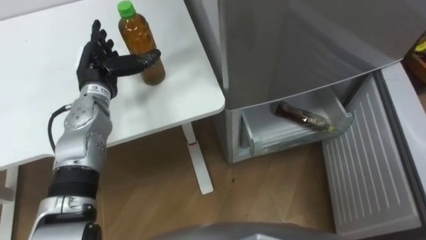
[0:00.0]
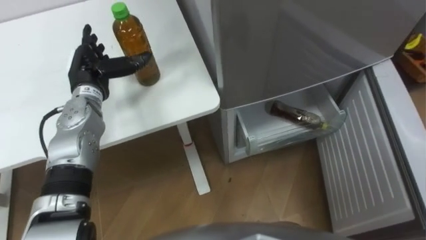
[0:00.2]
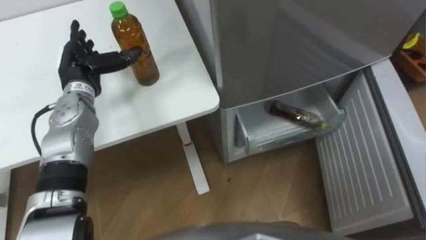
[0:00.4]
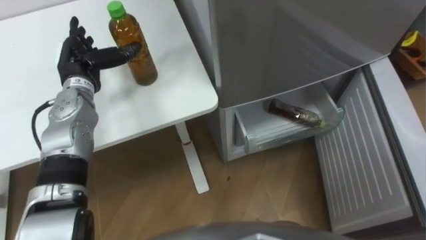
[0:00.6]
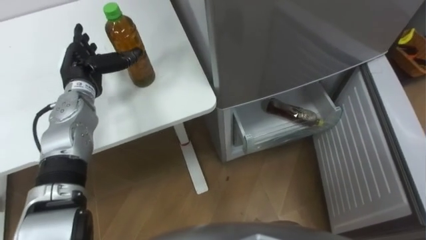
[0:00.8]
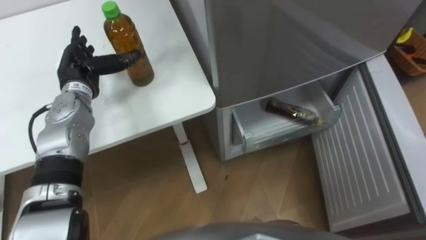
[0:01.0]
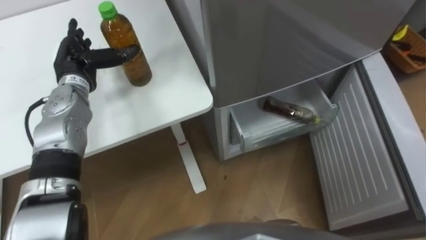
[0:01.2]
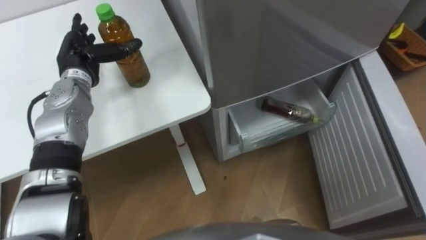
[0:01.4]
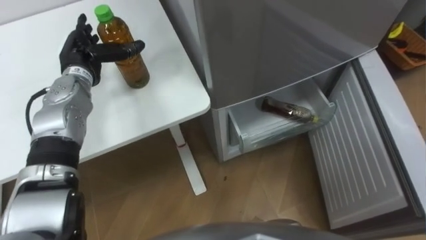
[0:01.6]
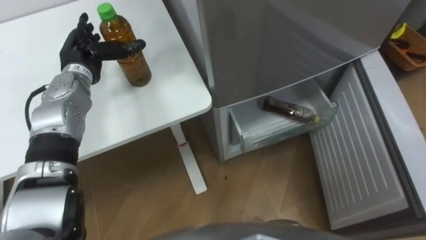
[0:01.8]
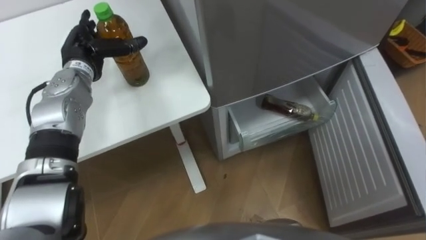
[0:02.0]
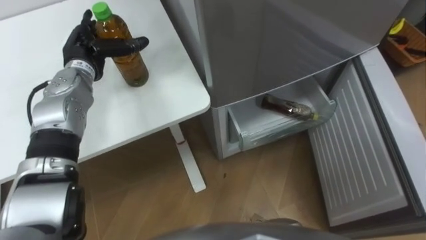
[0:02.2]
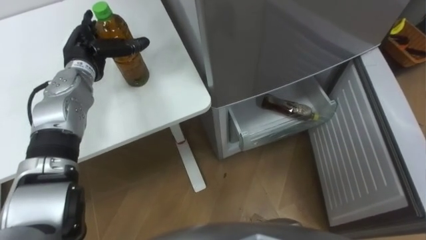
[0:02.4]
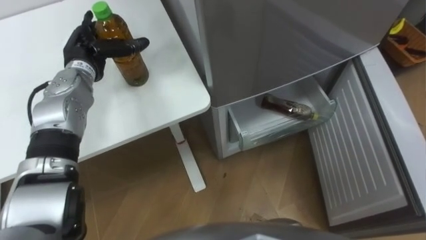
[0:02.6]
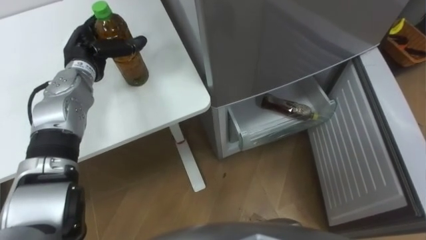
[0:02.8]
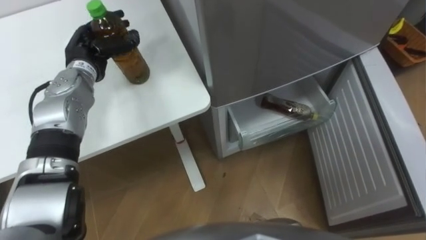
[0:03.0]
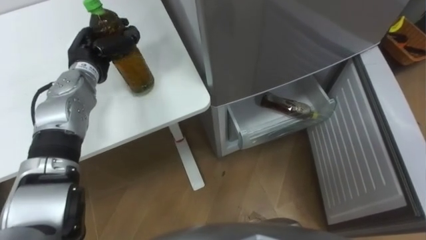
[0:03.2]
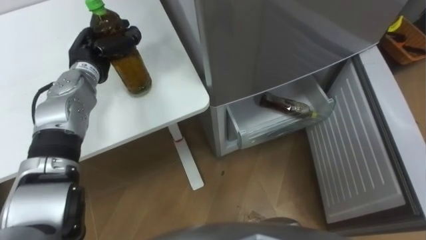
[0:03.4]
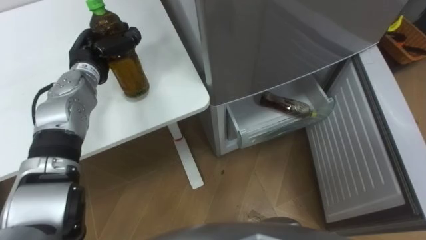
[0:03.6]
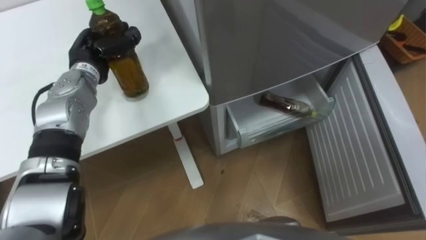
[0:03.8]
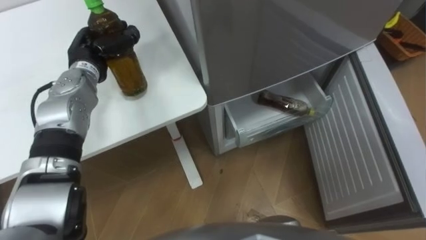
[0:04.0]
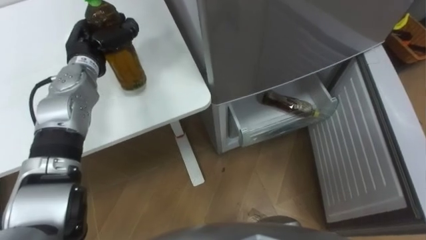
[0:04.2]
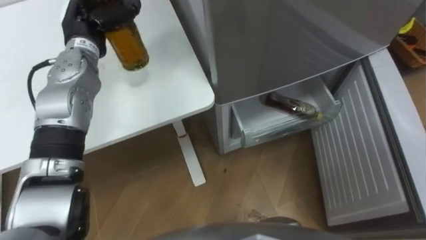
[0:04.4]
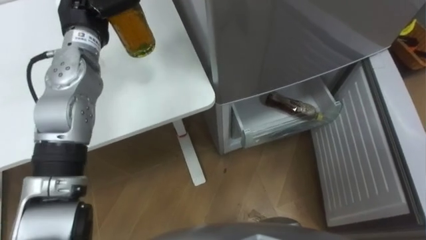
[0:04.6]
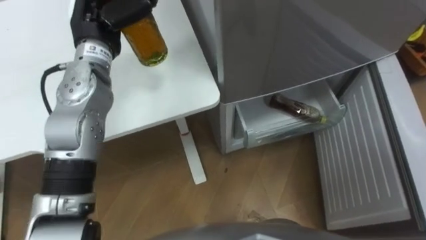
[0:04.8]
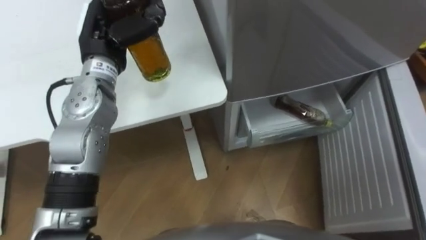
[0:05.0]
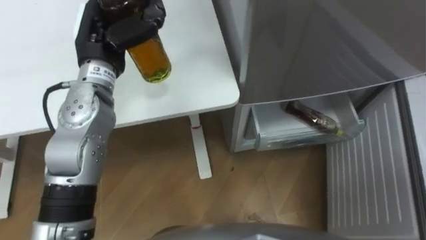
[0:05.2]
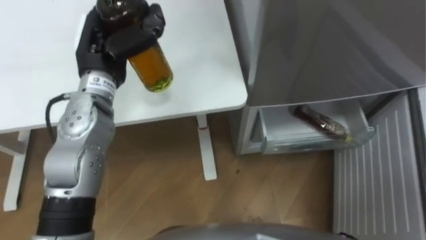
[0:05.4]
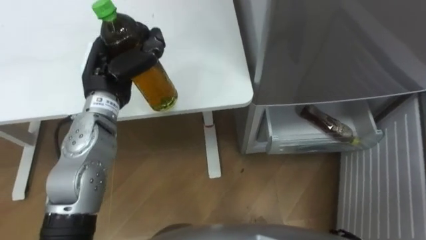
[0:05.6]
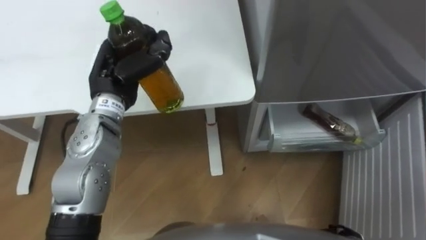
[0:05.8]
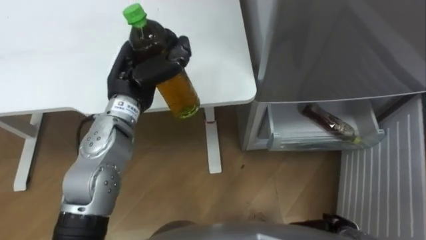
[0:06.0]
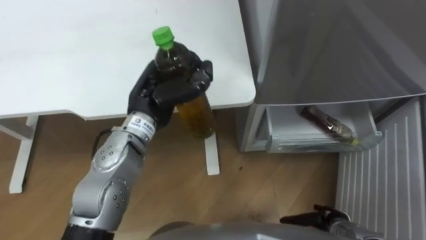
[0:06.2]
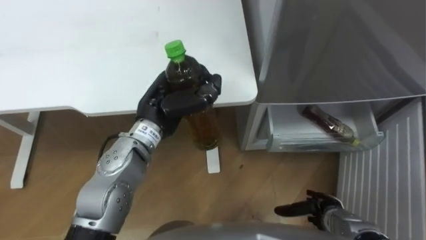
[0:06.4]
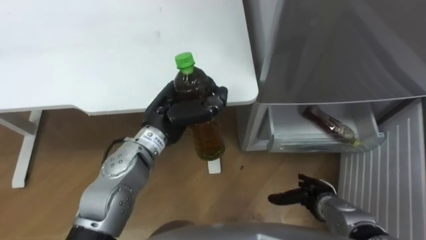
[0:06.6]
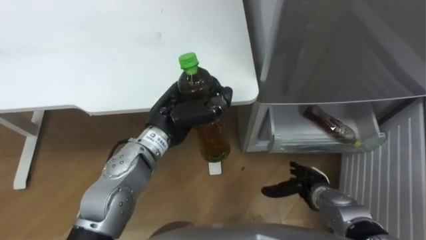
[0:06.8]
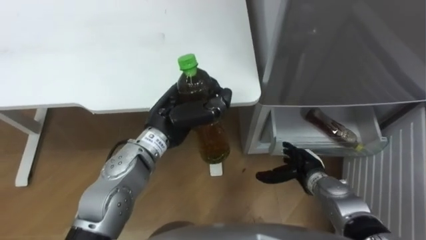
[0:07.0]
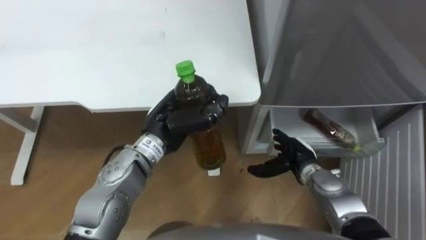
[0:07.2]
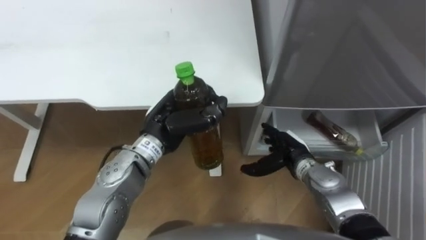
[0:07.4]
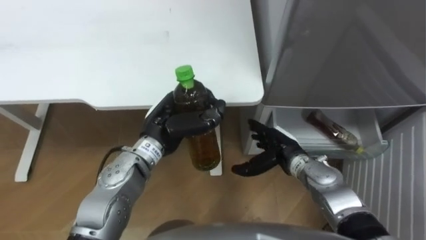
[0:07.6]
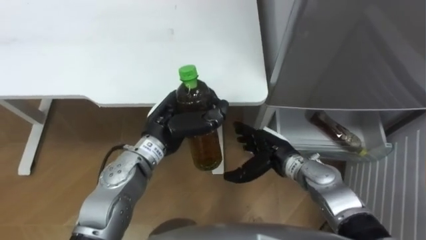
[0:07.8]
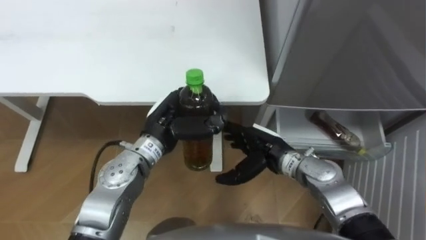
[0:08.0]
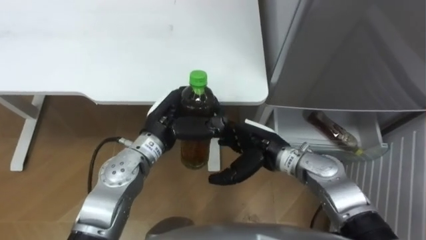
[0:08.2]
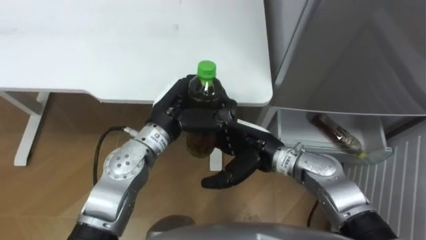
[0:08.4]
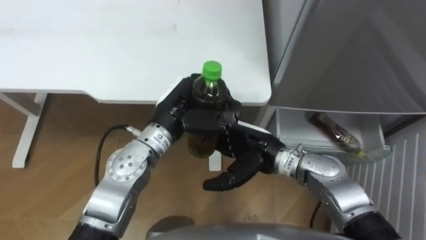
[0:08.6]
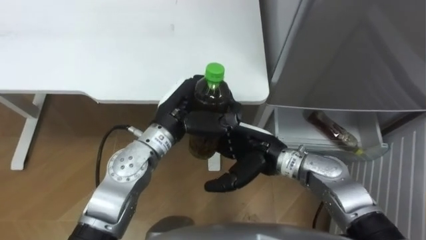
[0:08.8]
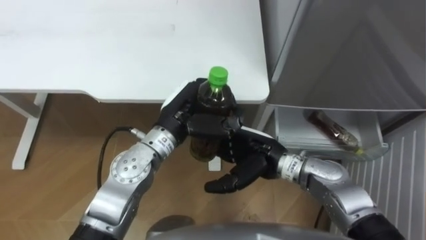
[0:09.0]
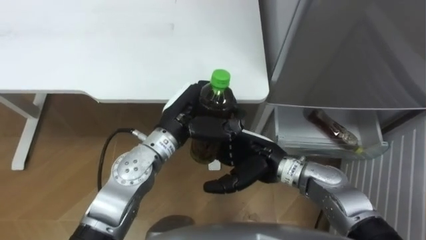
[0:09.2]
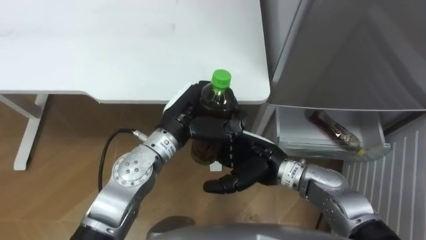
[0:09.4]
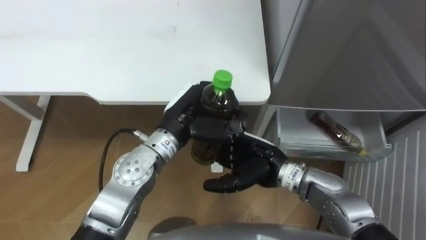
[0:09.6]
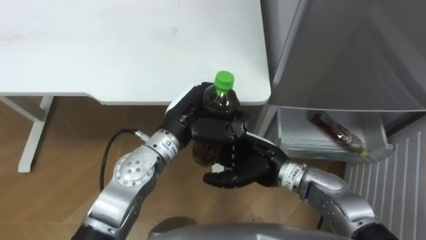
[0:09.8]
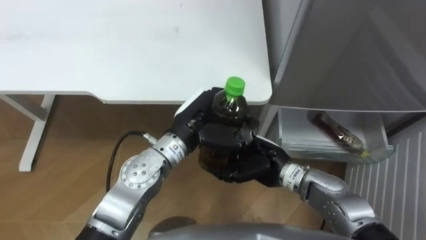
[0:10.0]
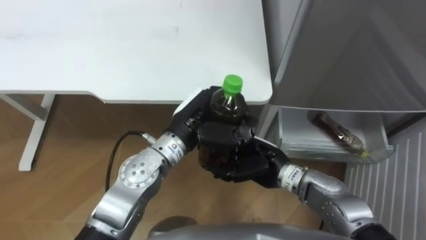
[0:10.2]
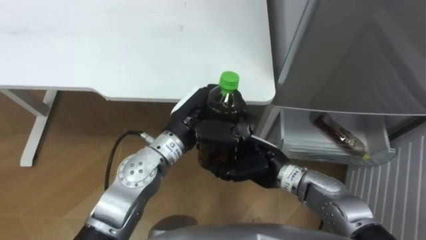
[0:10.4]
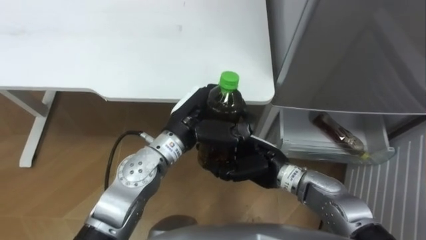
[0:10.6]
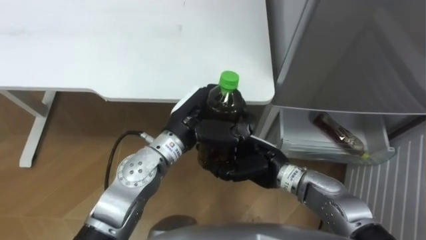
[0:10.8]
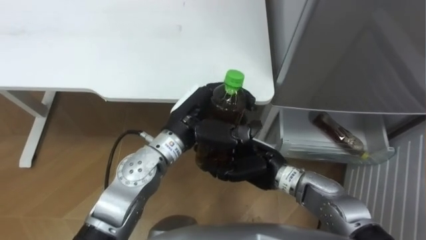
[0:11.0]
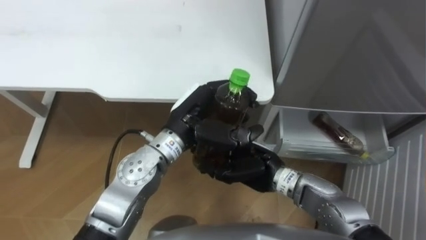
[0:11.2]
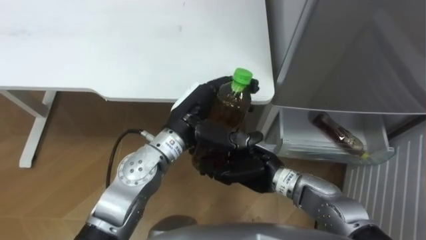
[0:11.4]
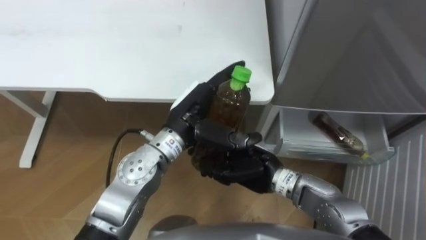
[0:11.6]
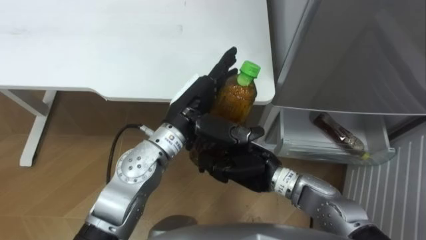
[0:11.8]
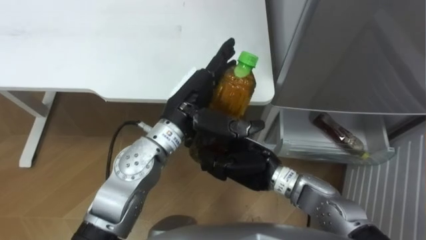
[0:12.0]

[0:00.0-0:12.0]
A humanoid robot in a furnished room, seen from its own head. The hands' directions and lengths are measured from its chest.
Task of the whole recording: Place the drink on the table on the bottom shelf of the refrigerator, then close the drawer and the refrigerator door.
0:01.6 to 0:03.0: The left hand closes its fingers.
0:03.0 to 0:04.4: The left hand changes place by some 5 cm, and closes its fingers.
0:04.4 to 0:06.0: The left hand is displaced backward and to the right by approximately 10 cm.
0:06.0 to 0:07.6: The right hand moves forward, to the left and upward, some 25 cm; the left hand goes roughly 10 cm downward, to the right and backward.
0:07.6 to 0:09.0: The right hand is displaced to the left and upward by approximately 10 cm.
0:09.0 to 0:10.4: The right hand closes.
0:10.4 to 0:12.0: The left hand opens up.

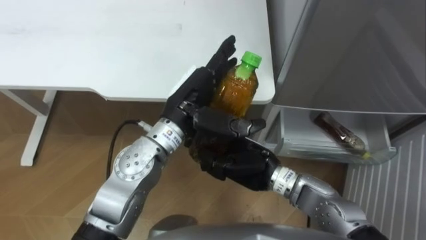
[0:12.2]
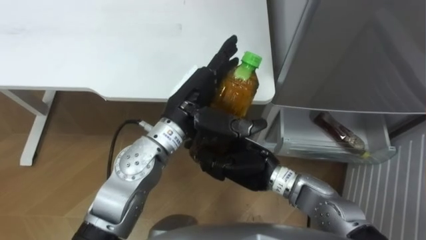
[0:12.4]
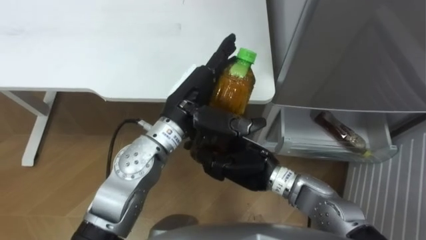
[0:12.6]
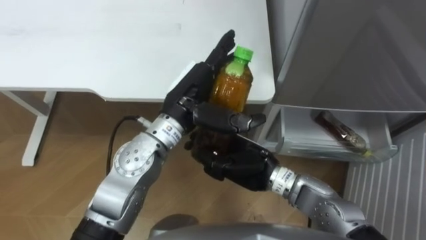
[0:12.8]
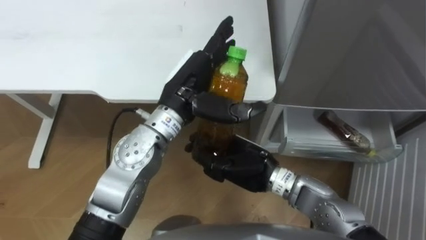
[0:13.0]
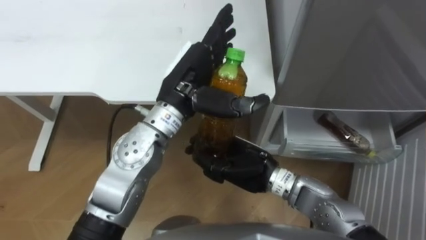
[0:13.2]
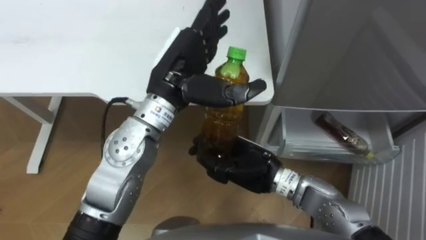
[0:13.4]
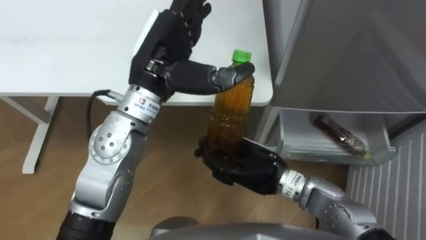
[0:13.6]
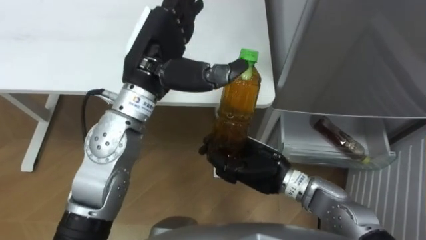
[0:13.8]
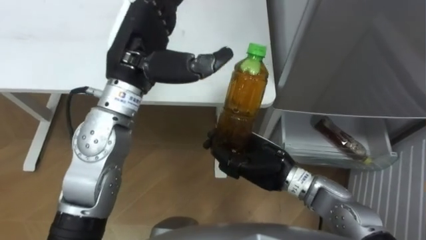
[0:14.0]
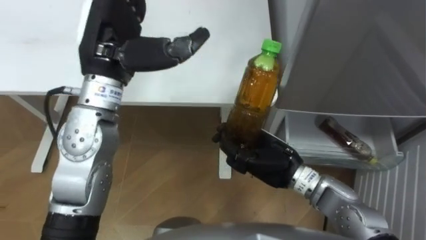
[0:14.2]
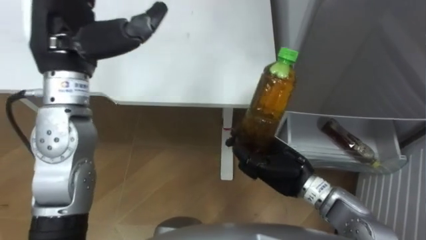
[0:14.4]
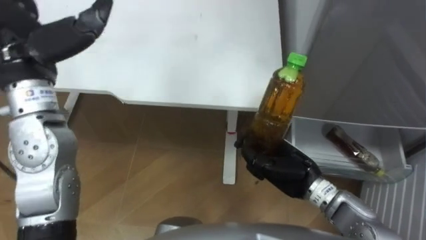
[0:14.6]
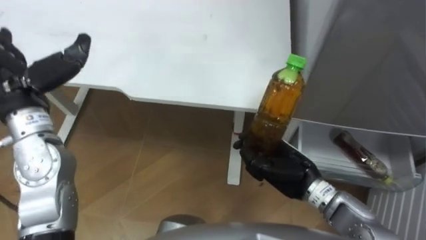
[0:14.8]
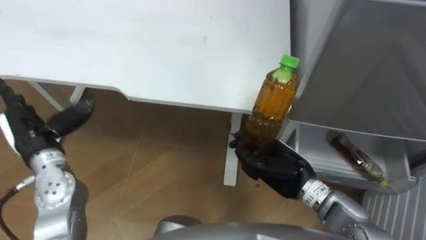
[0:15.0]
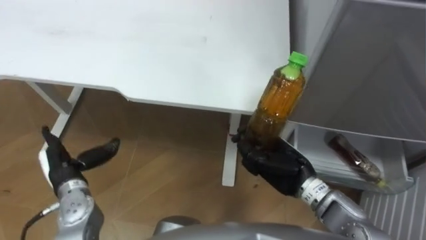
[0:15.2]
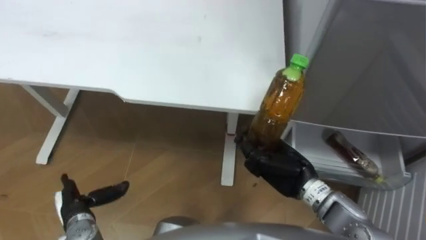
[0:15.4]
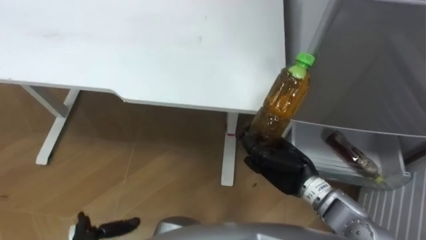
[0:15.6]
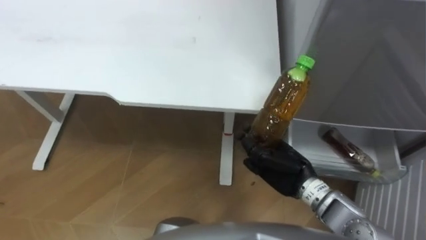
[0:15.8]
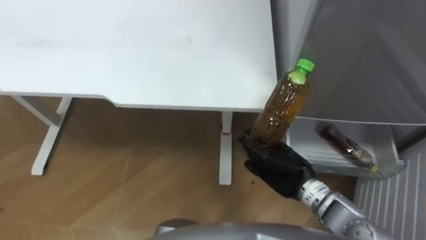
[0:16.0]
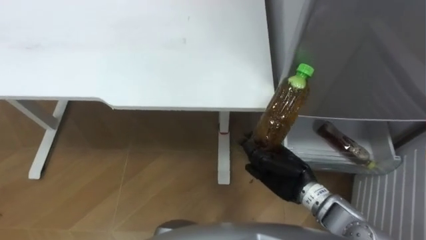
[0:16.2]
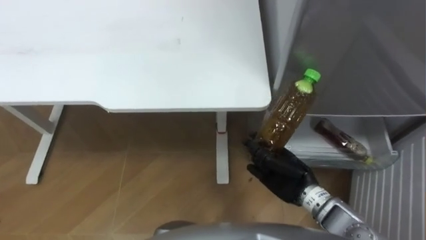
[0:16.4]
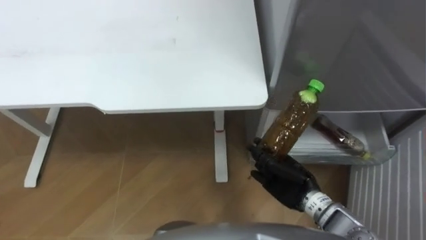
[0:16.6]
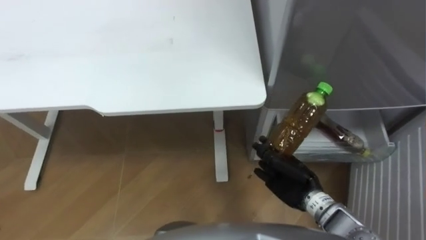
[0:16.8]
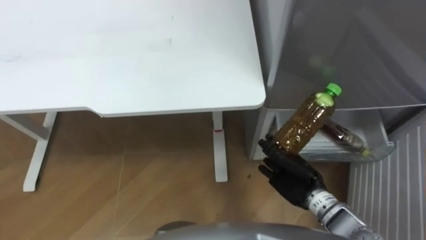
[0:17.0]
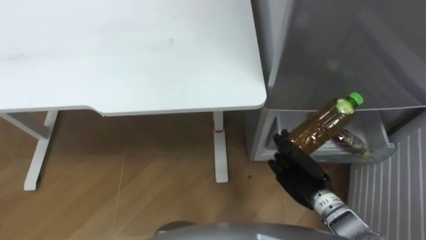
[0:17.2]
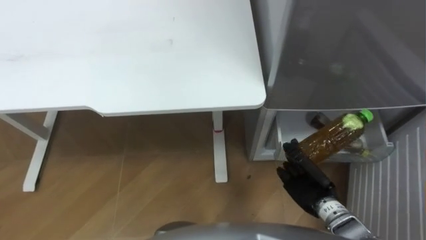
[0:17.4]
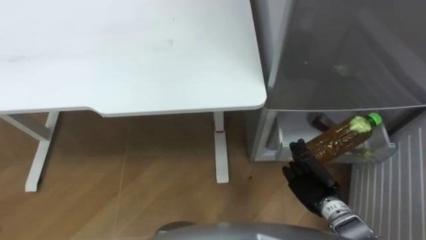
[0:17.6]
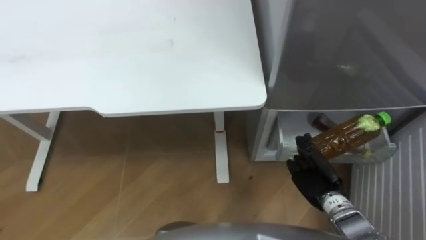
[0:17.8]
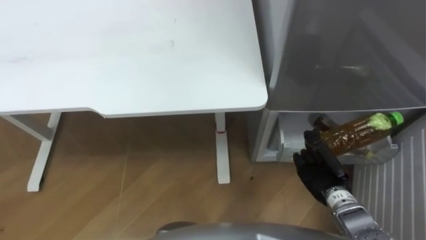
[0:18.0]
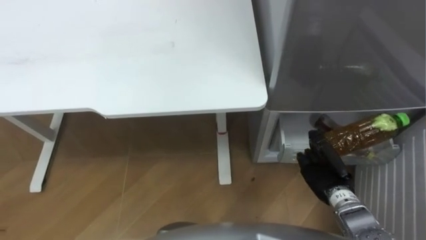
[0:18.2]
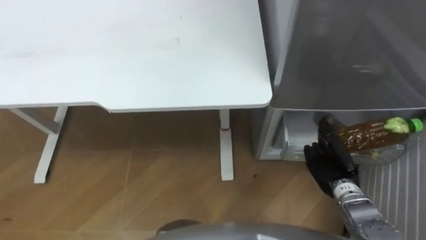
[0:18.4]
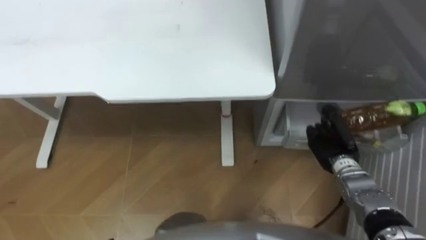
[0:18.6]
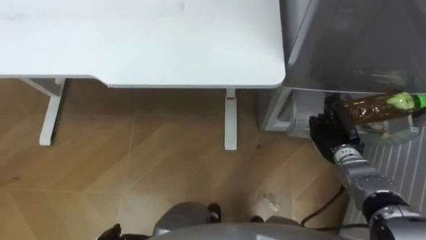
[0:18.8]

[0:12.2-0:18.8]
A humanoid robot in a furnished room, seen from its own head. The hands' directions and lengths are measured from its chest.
Task of the whole recording: Place the drink on the table on the bottom shelf of the refrigerator, then close the drawer and the refrigerator door.
0:12.2 to 0:13.8: The left hand goes about 10 cm upward.
0:13.8 to 0:15.4: The left hand travels downward, to the left and backward by roughly 40 cm. The right hand goes approximately 5 cm to the right.
0:15.4 to 0:17.2: The right hand moves about 5 cm.
0:17.2 to 0:18.8: The right hand moves forward and to the right, approximately 10 cm.
